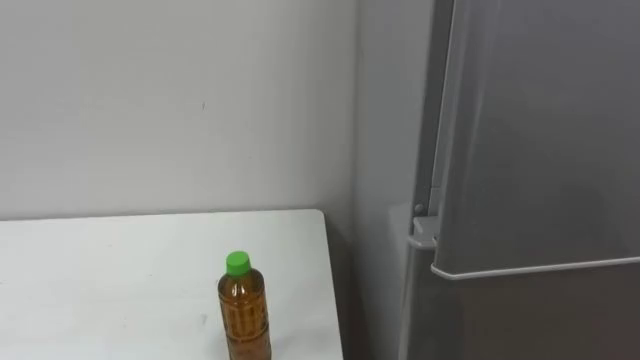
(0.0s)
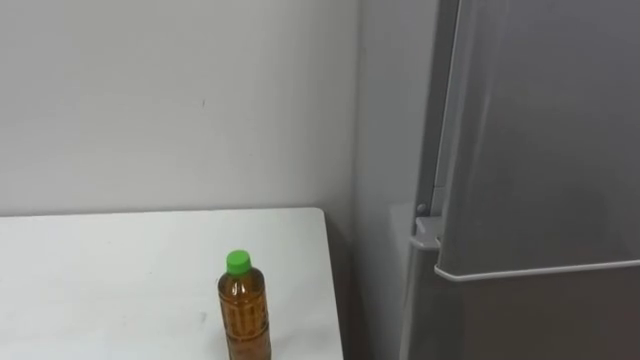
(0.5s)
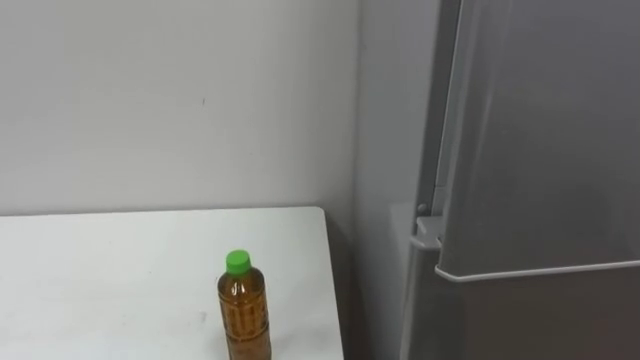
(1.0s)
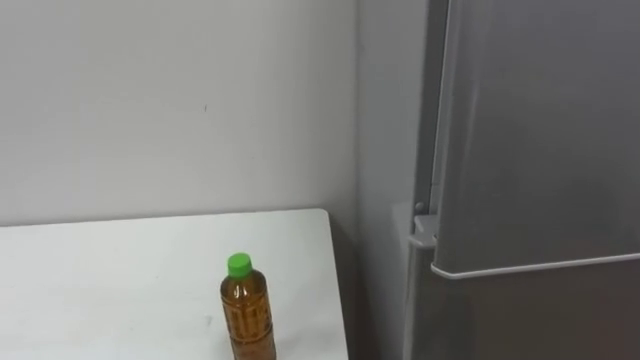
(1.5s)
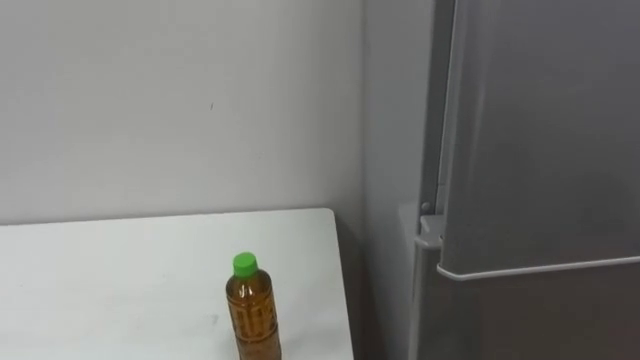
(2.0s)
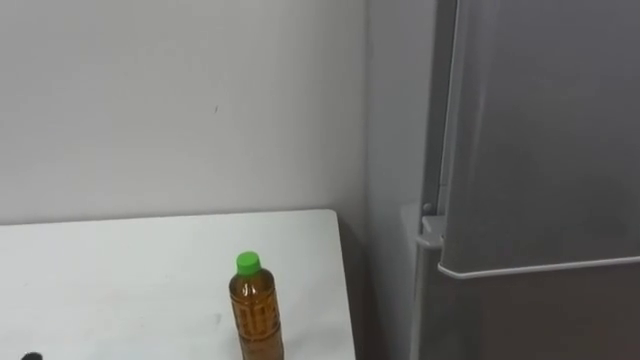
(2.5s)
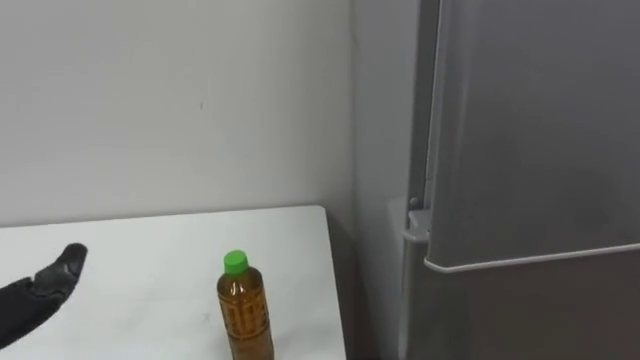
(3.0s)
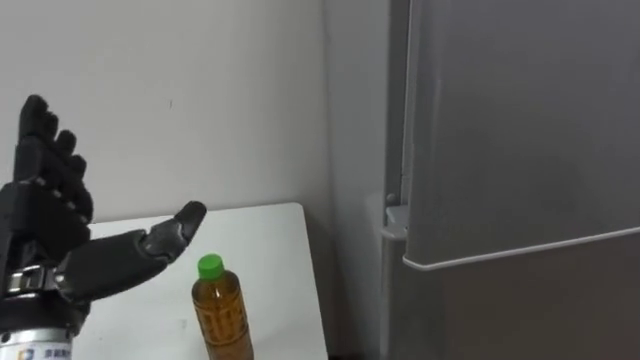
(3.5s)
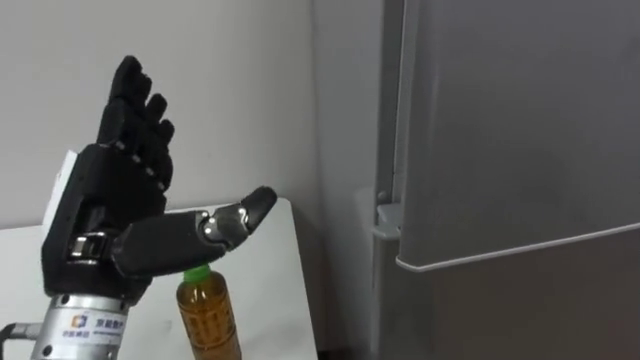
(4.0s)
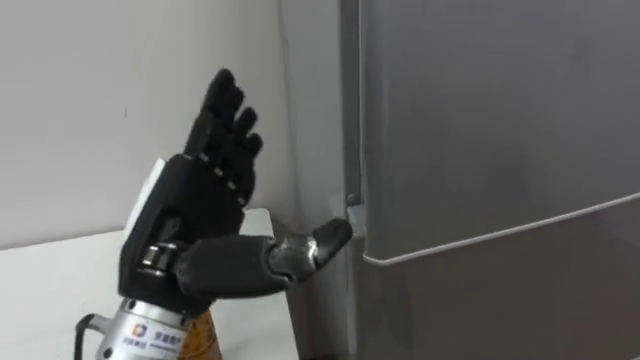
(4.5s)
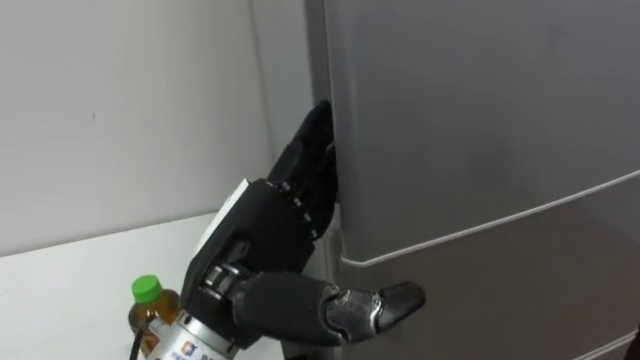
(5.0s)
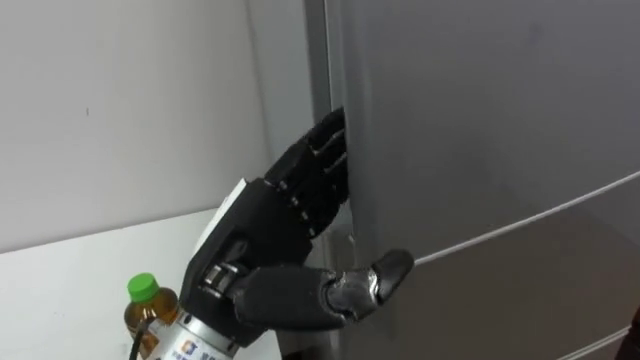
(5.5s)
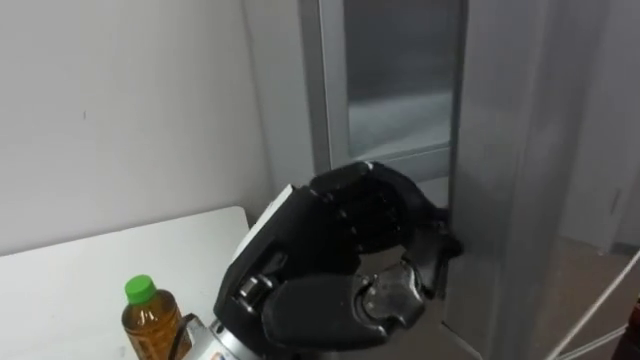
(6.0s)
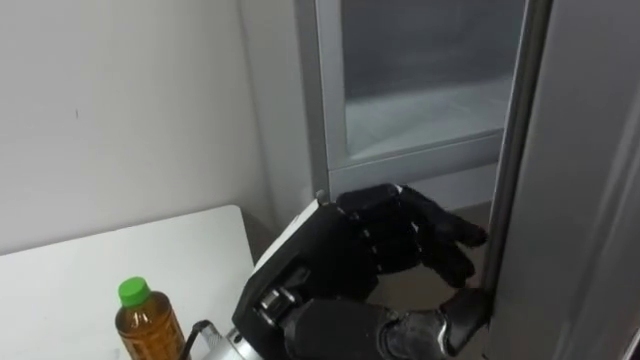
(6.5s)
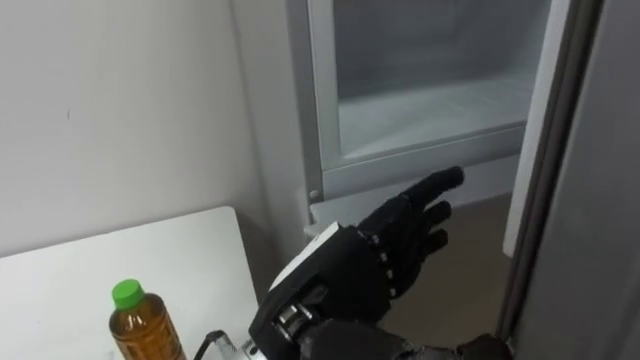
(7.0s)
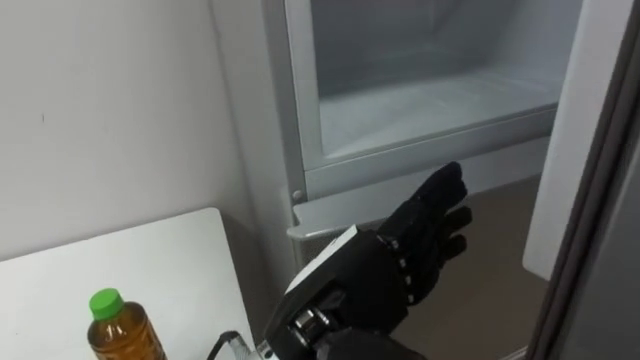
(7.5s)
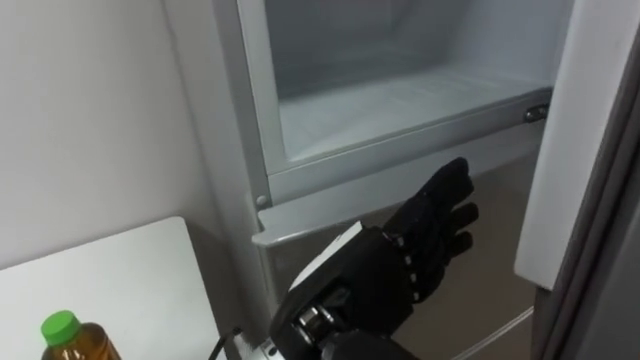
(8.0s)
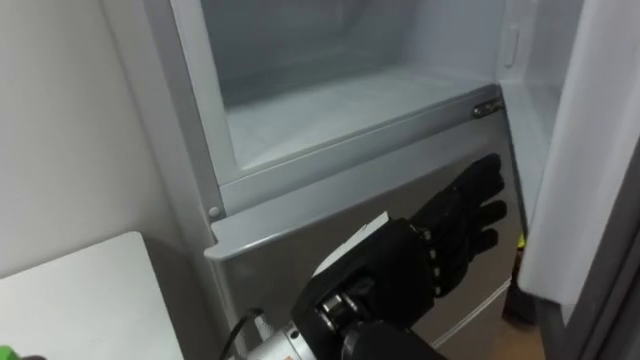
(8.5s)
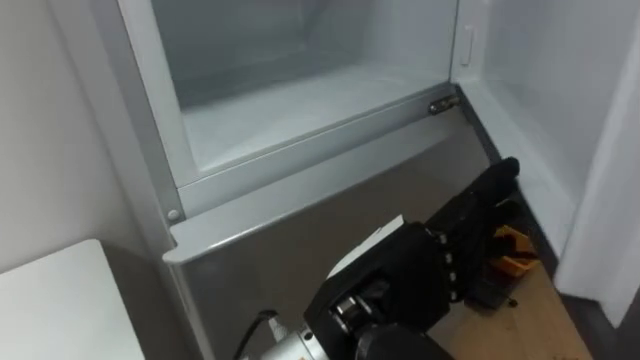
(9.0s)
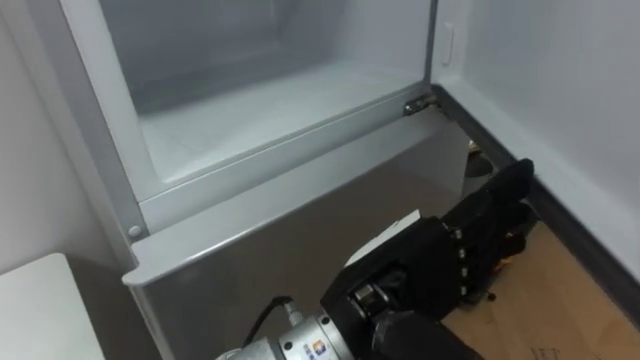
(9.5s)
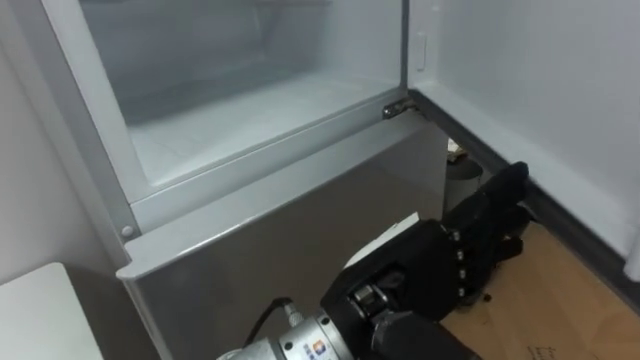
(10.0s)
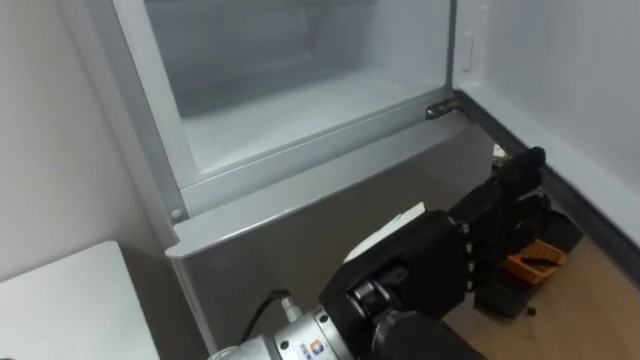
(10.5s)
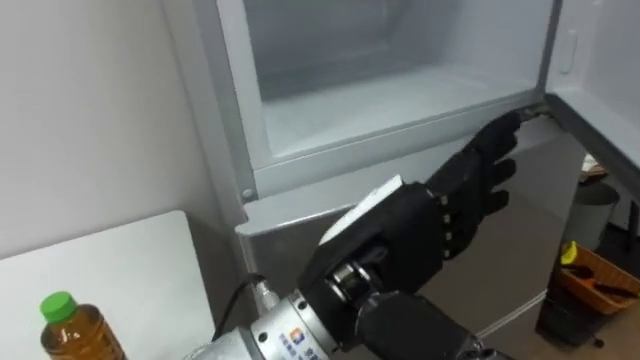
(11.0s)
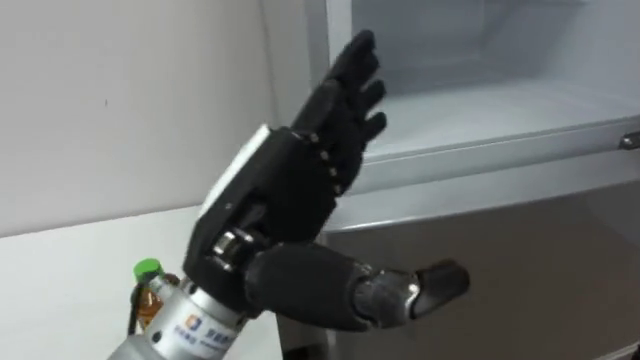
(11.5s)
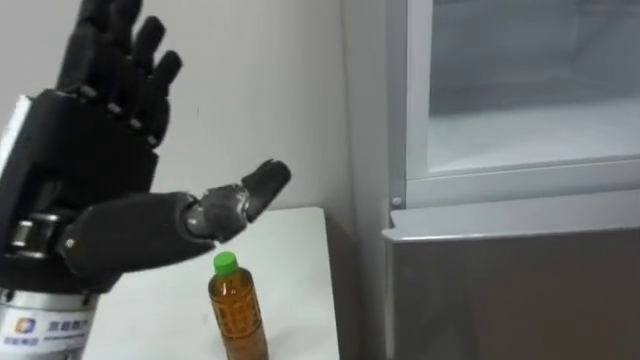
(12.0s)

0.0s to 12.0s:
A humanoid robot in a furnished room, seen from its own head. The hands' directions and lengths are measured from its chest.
Task of the whole recording: Open the upper refrigerator door, put the drink from the table into the refrigerator, and then close the refrigerator door.
4.0s to 6.0s: The left hand shifts approximately 15 cm to the right, and closes up.
6.0s to 8.0s: The left hand opens up.
10.0s to 12.0s: The left hand goes some 20 cm to the left.

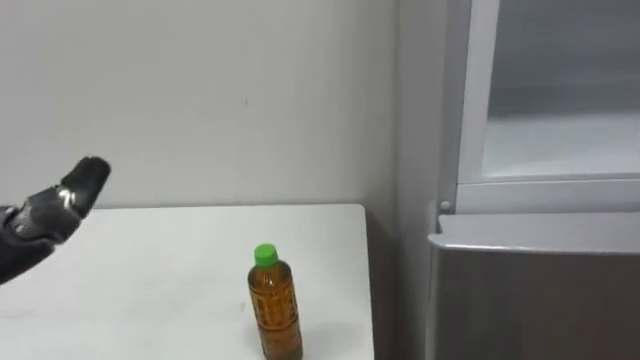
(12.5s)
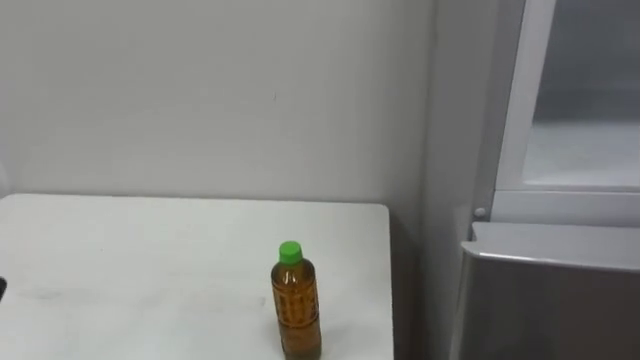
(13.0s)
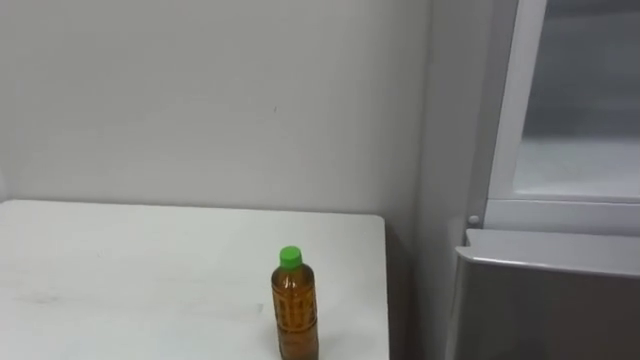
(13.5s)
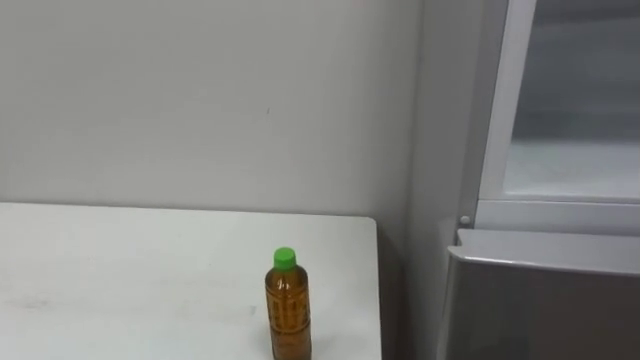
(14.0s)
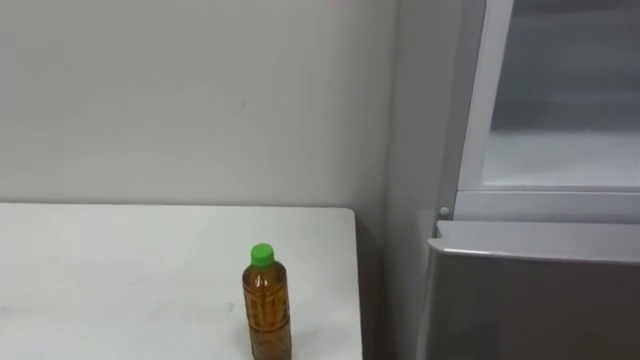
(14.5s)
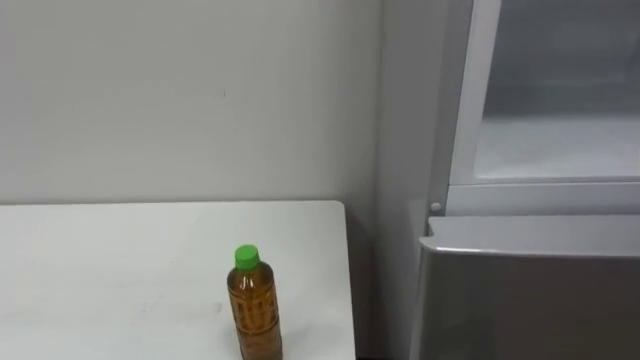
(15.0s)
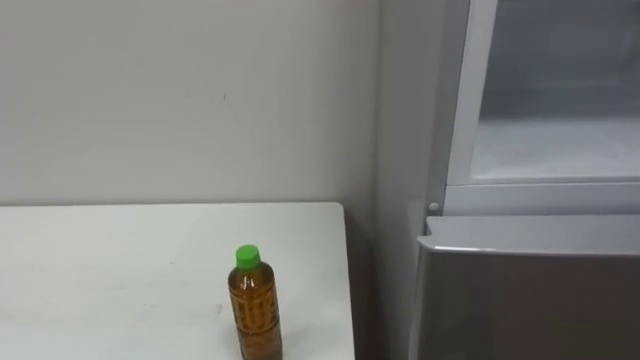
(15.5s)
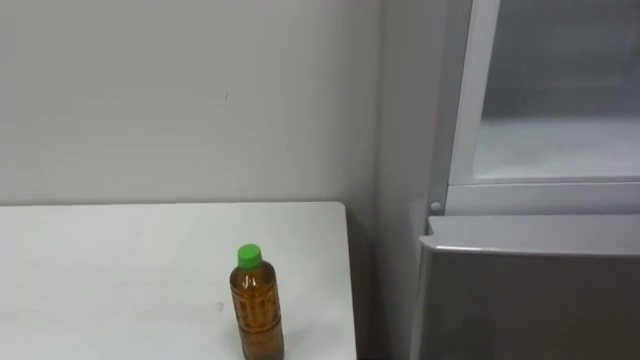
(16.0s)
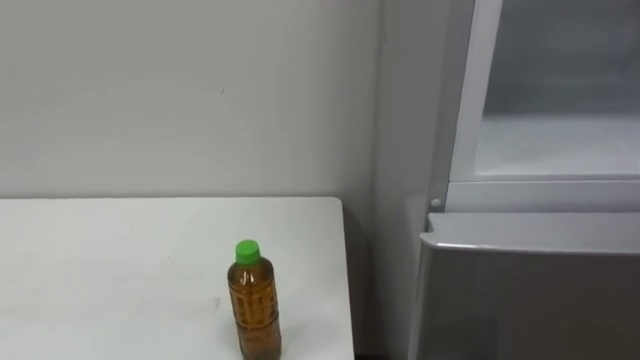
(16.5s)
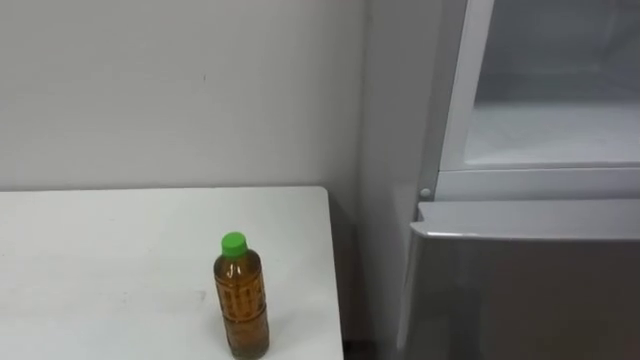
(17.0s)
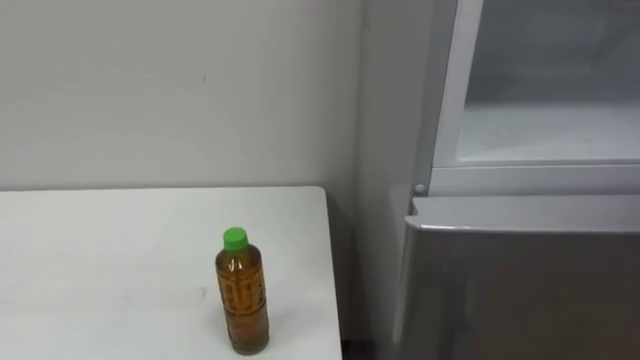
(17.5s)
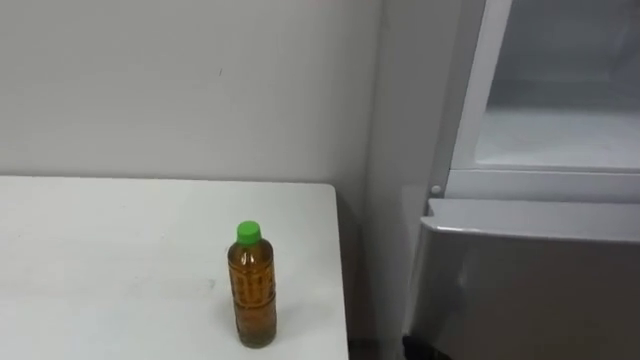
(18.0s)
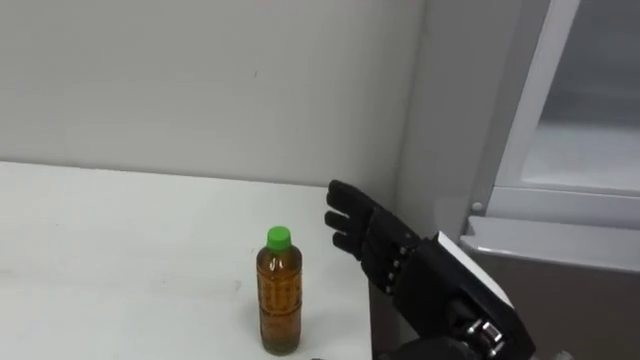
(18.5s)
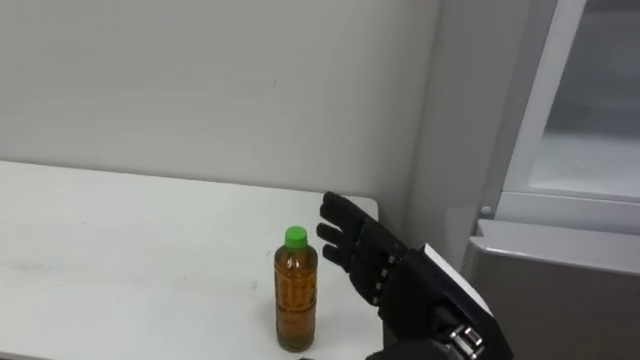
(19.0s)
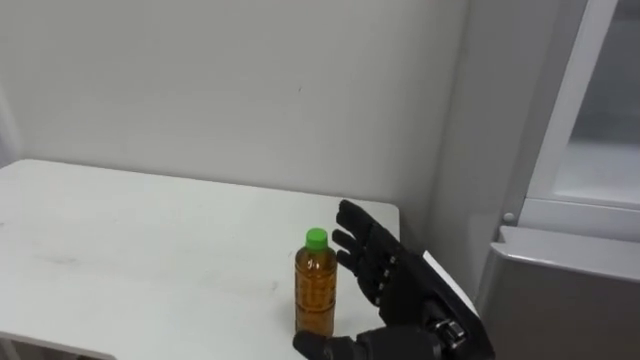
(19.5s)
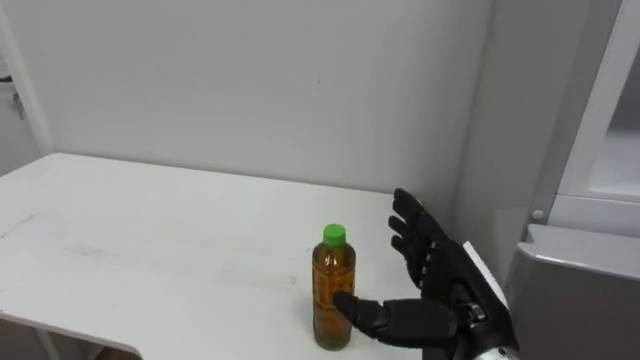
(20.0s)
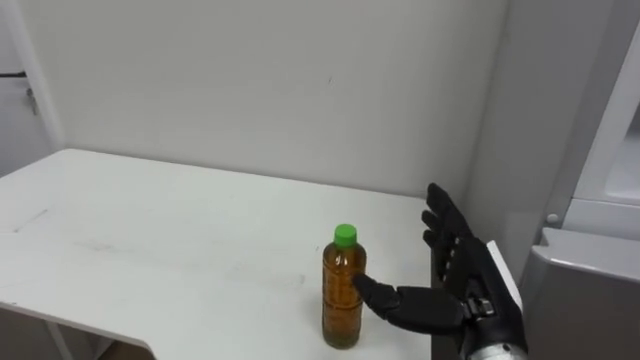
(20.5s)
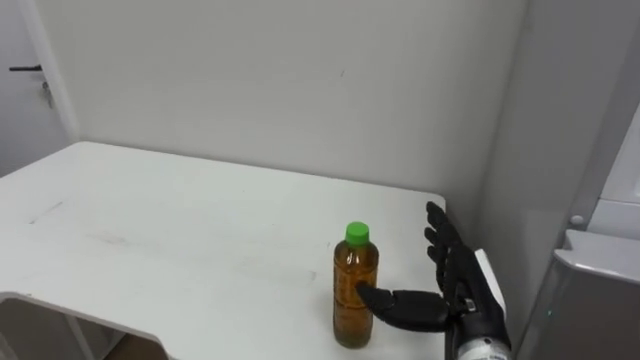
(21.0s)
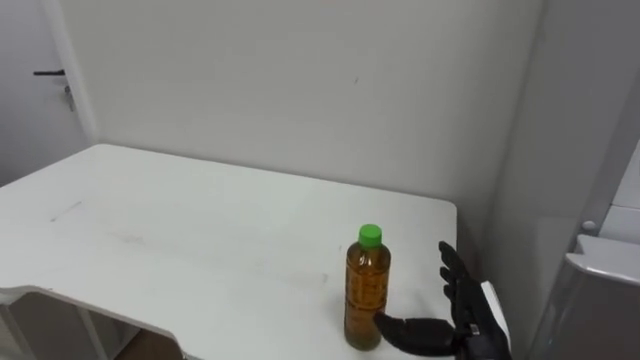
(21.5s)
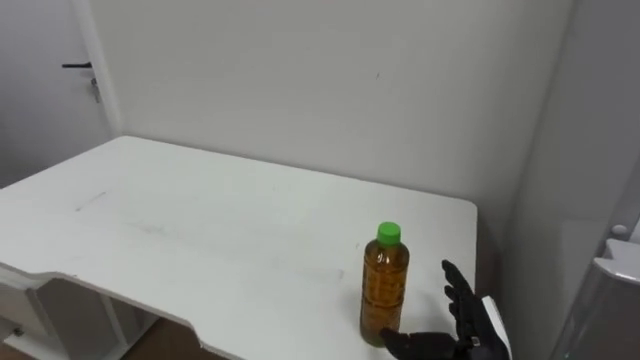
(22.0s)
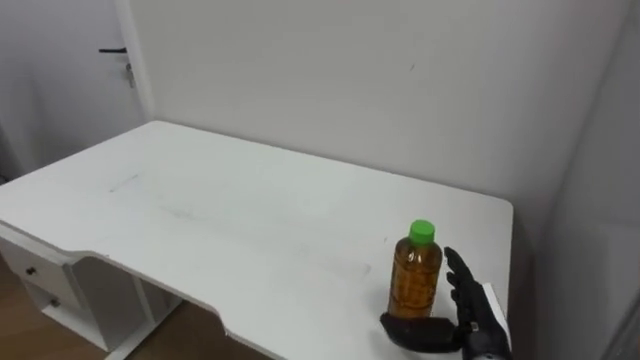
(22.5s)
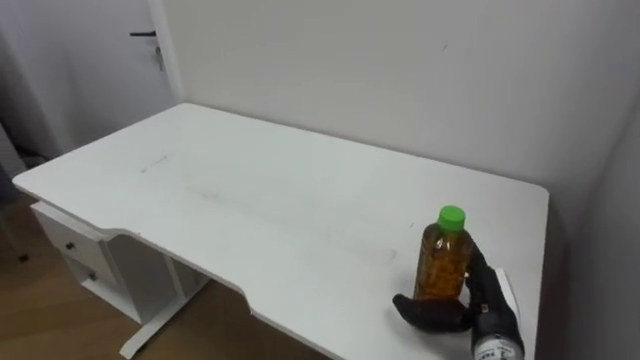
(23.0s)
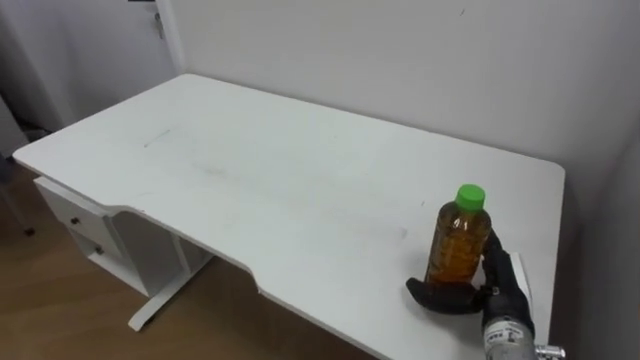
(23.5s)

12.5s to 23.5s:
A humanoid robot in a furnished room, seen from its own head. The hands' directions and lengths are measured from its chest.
Task of the whole recording: Open the upper refrigerator door, put the drink from the table into the refrigerator, and then close the refrigerator door.
20.0s to 21.5s: The right hand moves downward, roughly 10 cm.
21.5s to 23.5s: The right hand ends up about 5 cm from where it was.
